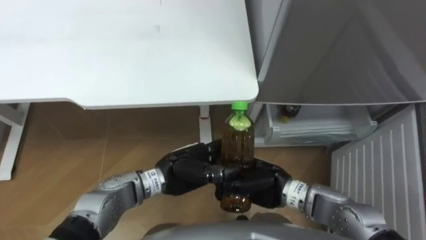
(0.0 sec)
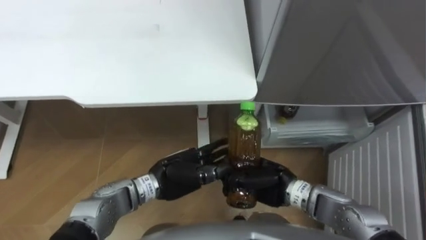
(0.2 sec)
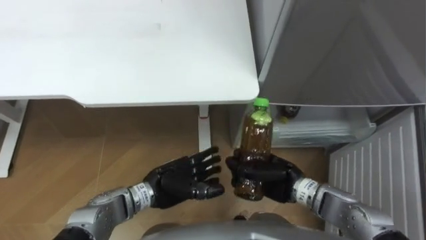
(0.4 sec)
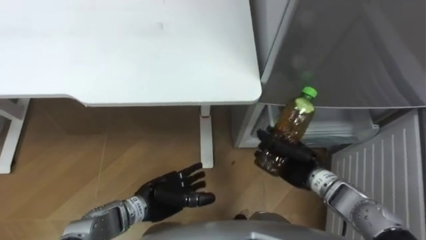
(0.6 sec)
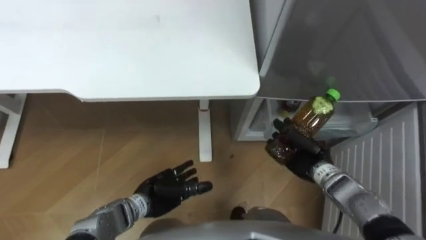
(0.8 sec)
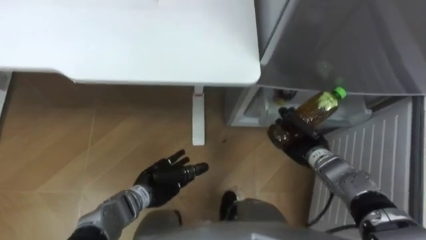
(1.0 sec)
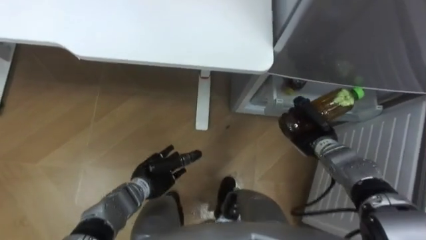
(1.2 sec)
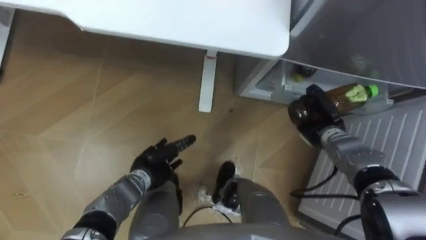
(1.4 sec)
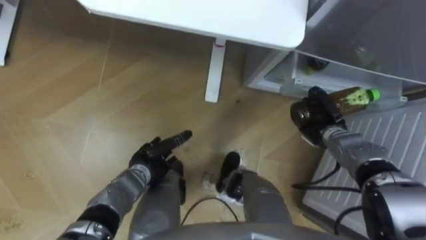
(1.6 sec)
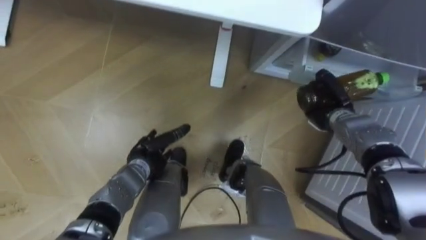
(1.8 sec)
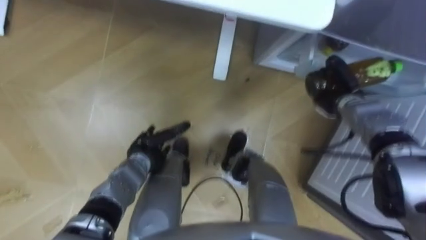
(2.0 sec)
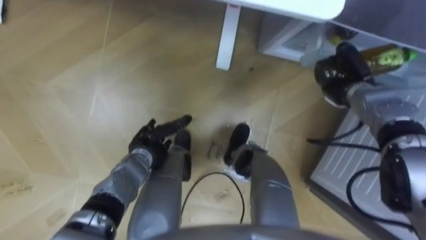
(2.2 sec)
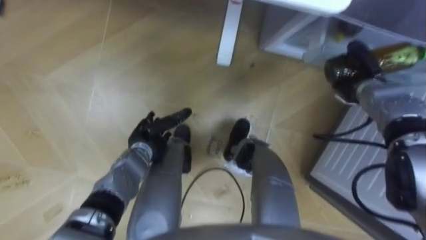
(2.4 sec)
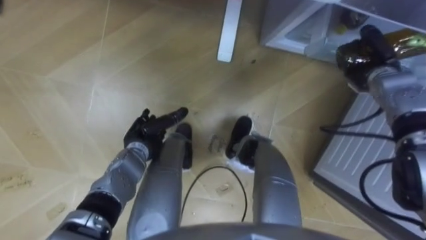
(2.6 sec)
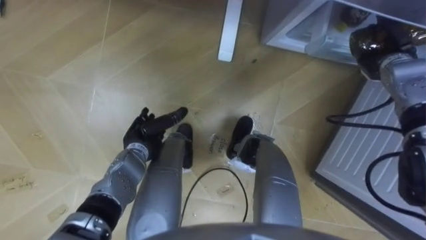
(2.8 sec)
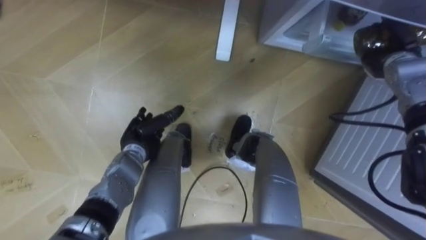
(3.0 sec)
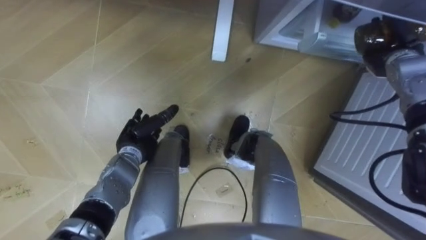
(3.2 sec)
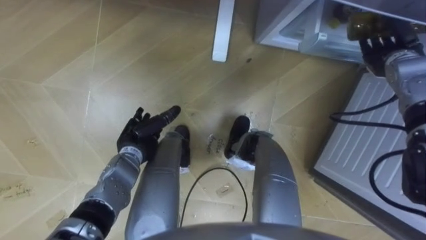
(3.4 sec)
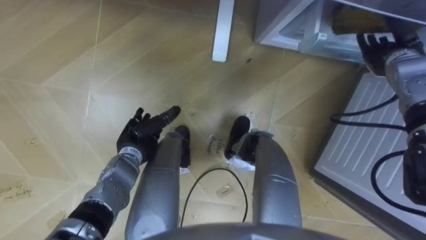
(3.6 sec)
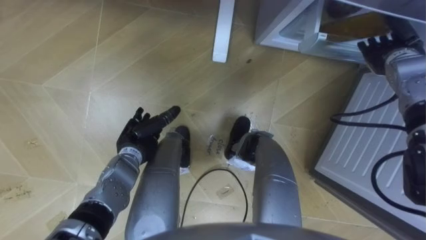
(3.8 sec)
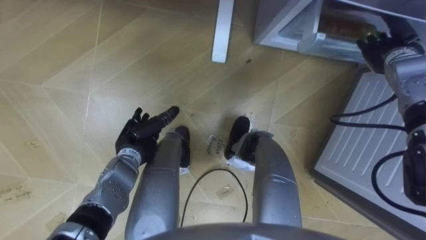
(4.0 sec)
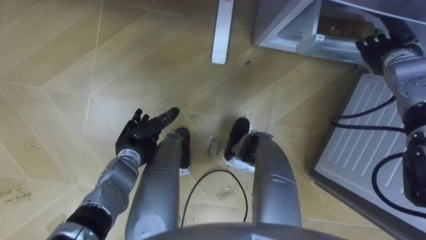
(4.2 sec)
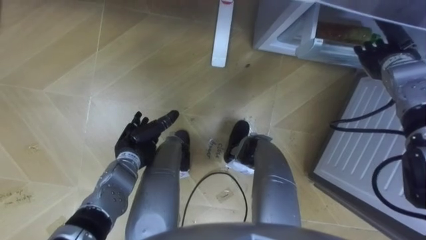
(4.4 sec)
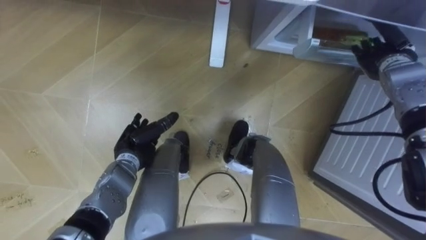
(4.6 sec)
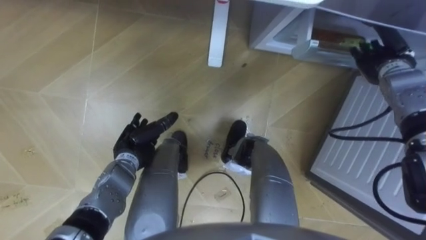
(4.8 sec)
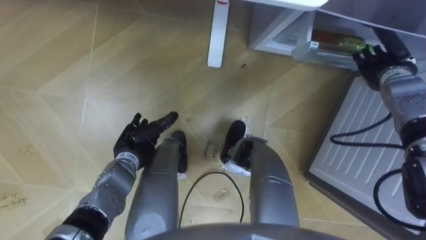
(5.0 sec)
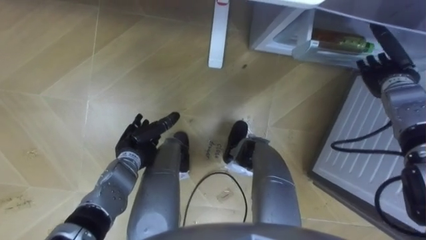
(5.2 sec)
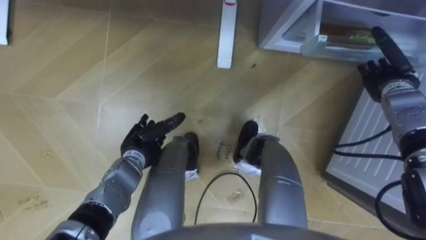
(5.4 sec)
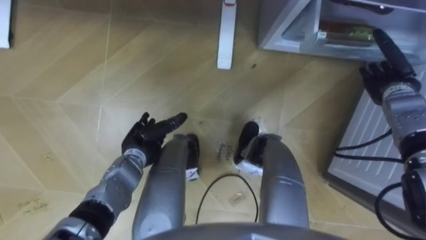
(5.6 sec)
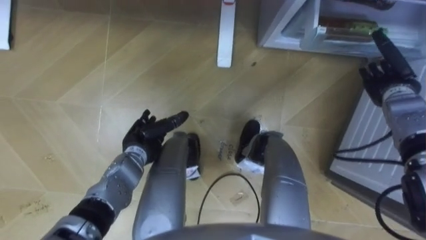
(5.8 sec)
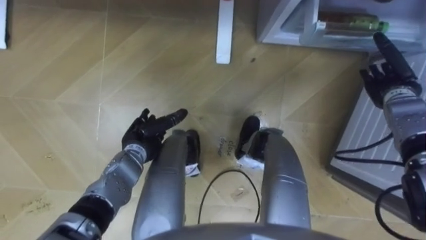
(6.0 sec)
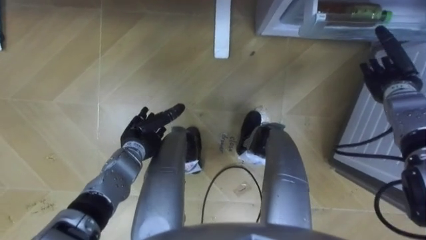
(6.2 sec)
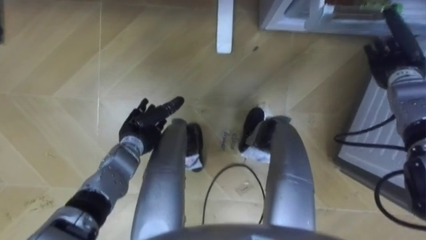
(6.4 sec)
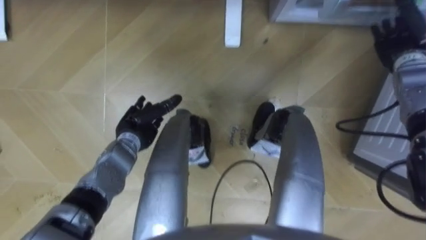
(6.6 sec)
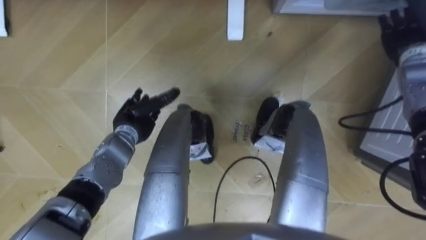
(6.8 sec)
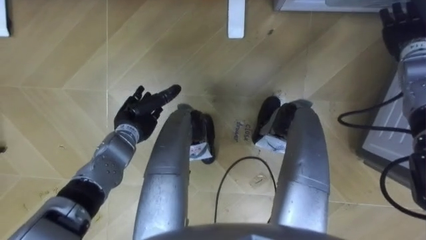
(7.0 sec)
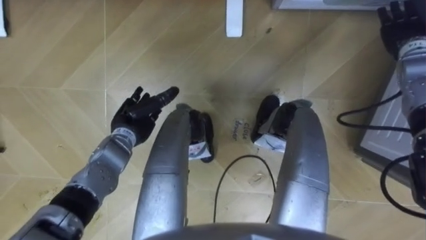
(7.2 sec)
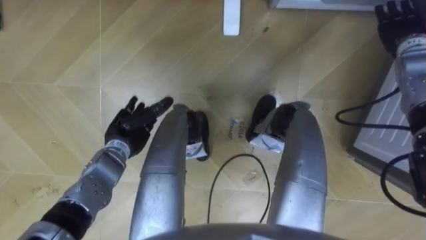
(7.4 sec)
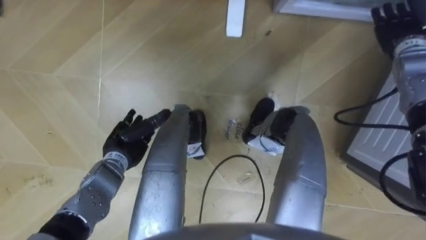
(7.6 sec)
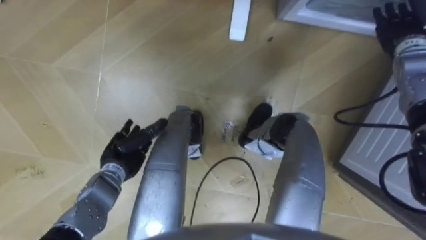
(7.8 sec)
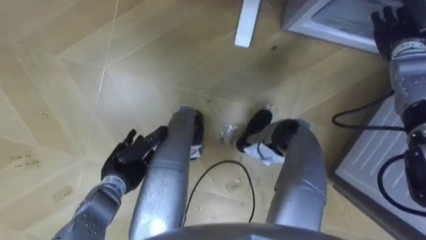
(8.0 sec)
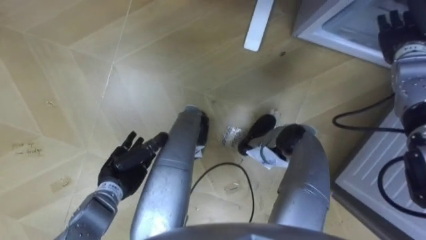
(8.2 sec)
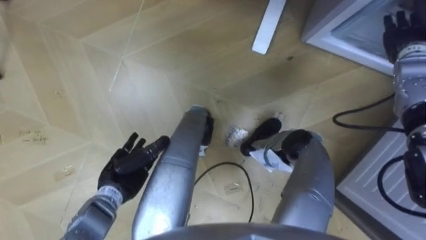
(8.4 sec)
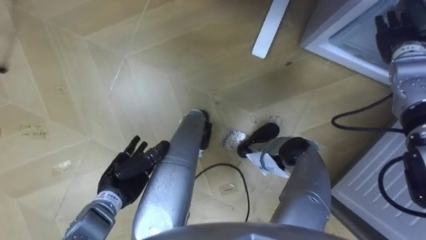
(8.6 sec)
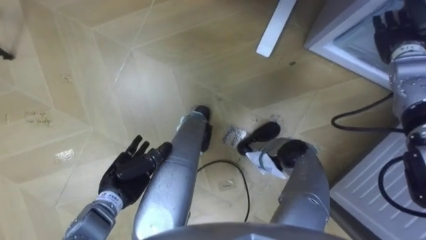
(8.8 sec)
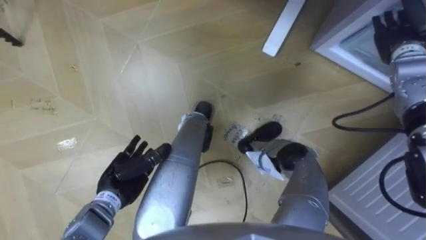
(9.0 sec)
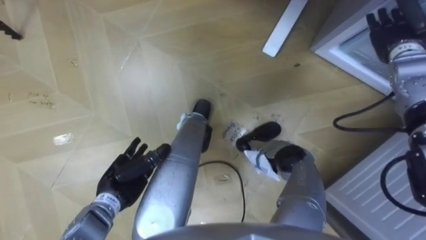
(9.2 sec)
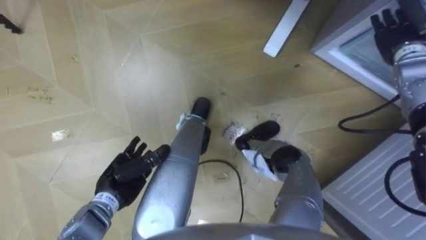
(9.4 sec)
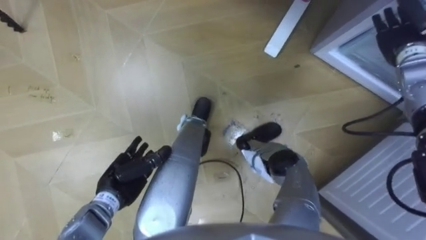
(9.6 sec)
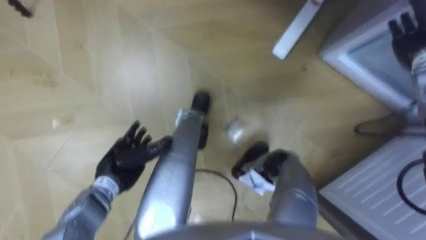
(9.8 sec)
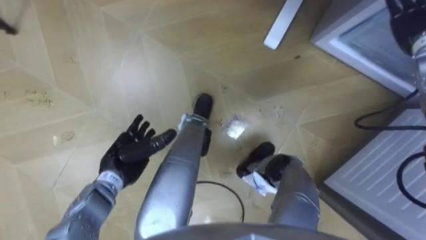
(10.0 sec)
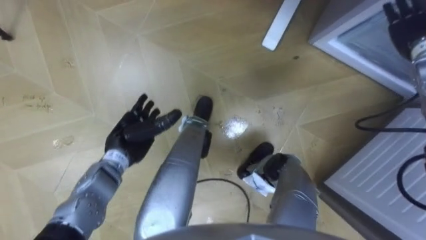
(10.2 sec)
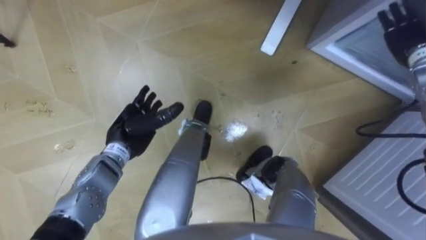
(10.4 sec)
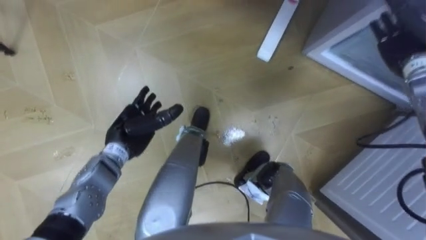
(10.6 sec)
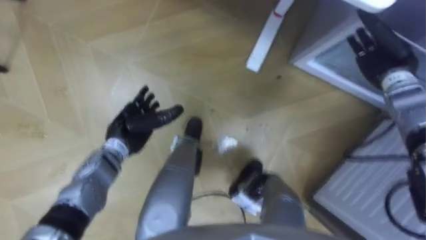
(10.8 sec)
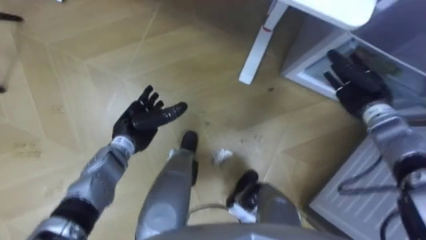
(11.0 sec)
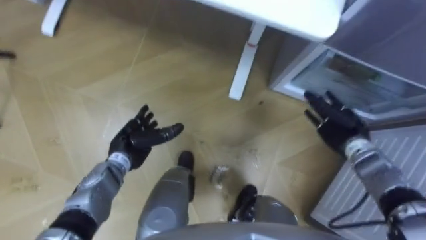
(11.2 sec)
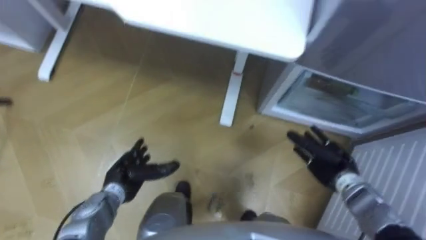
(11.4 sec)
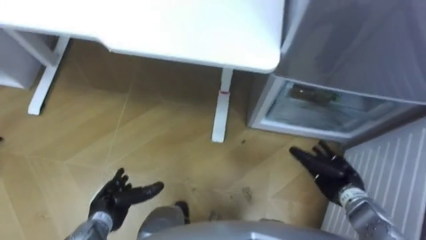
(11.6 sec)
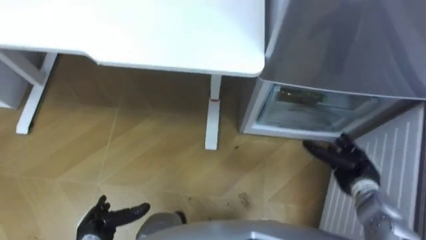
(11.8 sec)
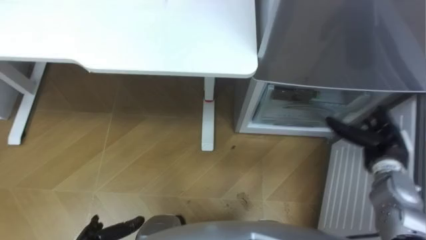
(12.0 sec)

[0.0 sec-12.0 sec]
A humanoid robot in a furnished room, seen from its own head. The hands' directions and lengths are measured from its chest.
Task of the whole recording: Place the drink on the table on the bottom shelf of the refrigerator, then close the drawer and the refrigerator door.
0.0 sec to 1.6 sec: The left hand moves downward and to the left, roughly 10 cm; the right hand shifts roughly 20 cm to the right and forward.
1.6 sec to 3.0 sec: The left hand ends up about 5 cm from where it was. Meanwhile the right hand is displaced upward, to the right and forward by some 20 cm.
3.0 sec to 4.4 sec: The right hand opens up.
4.4 sec to 6.0 sec: The right hand changes place by about 5 cm.
6.0 sec to 7.6 sec: The right hand travels upward and forward by roughly 10 cm.
7.6 sec to 9.0 sec: The left hand heads backward, covering roughly 5 cm.
9.0 sec to 10.4 sec: The left hand heads forward, covering approximately 10 cm.
10.4 sec to 12.0 sec: The right hand moves backward and downward, roughly 20 cm.

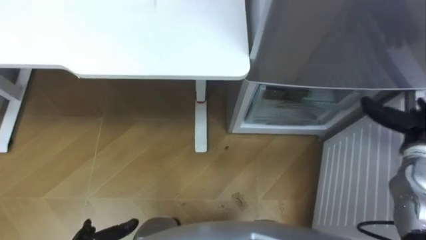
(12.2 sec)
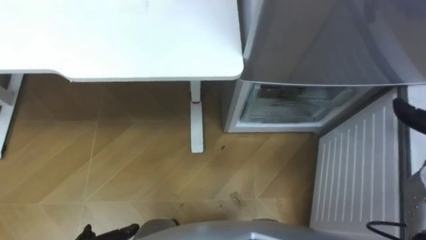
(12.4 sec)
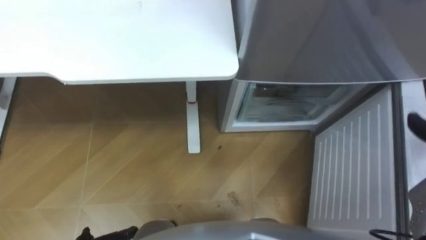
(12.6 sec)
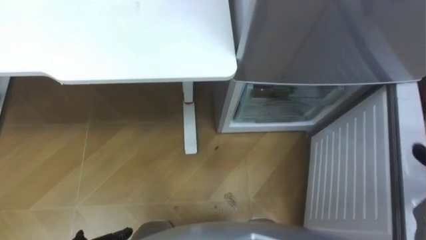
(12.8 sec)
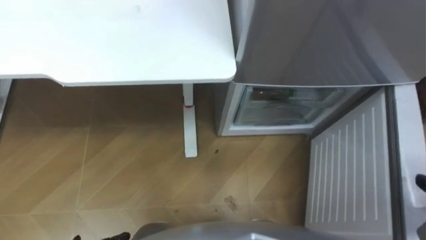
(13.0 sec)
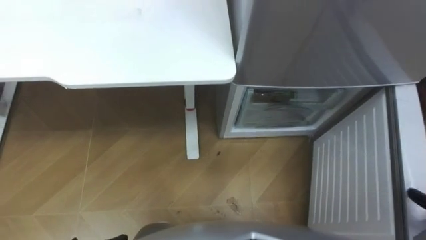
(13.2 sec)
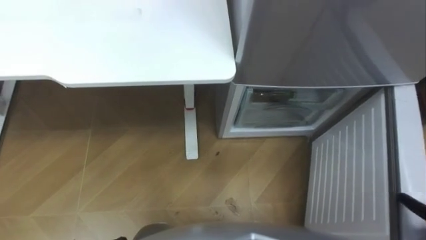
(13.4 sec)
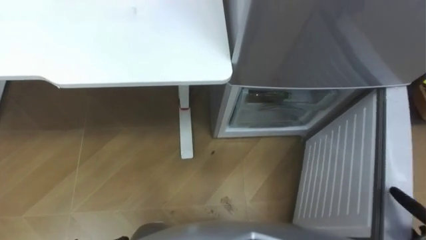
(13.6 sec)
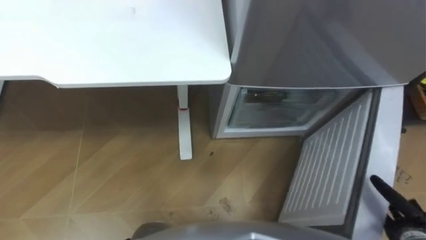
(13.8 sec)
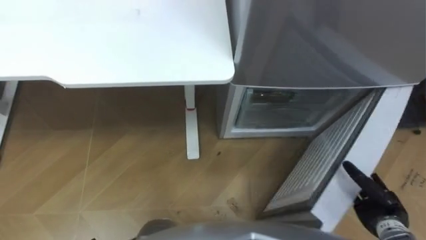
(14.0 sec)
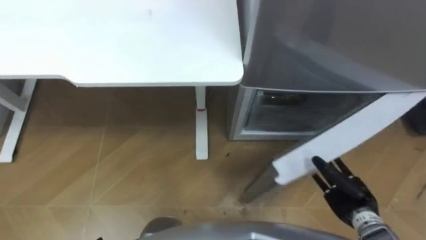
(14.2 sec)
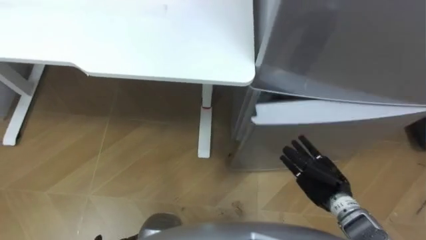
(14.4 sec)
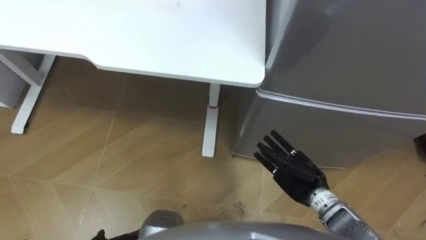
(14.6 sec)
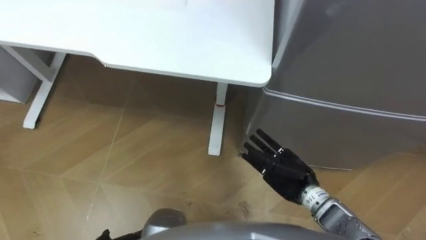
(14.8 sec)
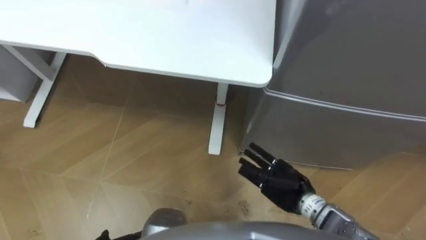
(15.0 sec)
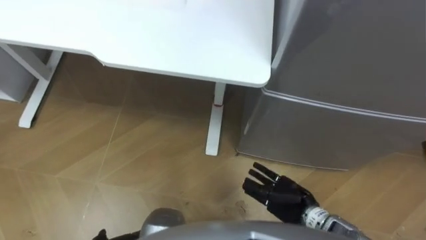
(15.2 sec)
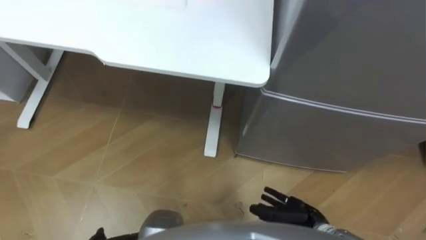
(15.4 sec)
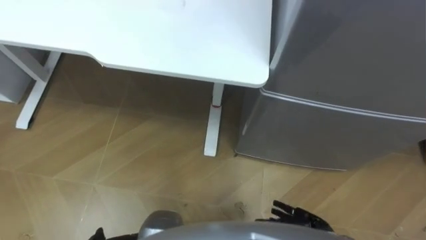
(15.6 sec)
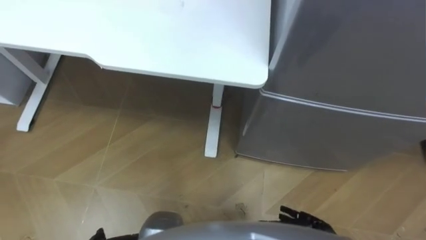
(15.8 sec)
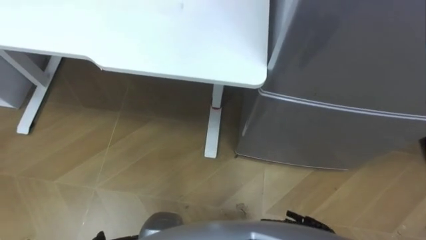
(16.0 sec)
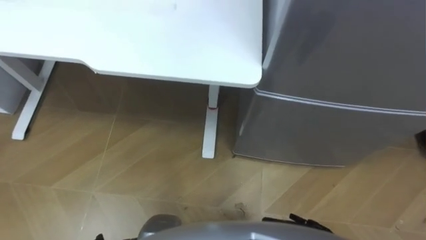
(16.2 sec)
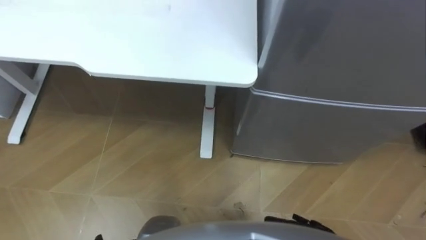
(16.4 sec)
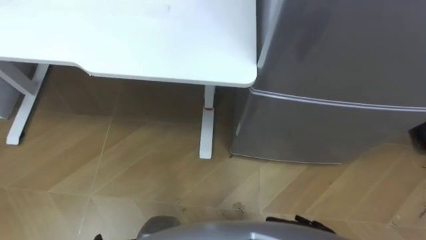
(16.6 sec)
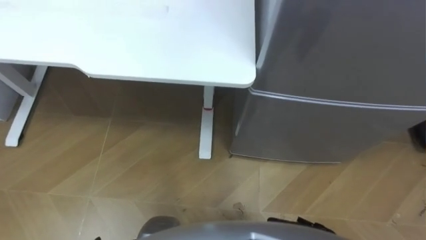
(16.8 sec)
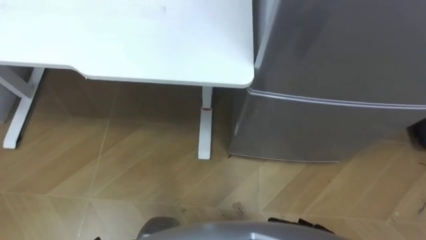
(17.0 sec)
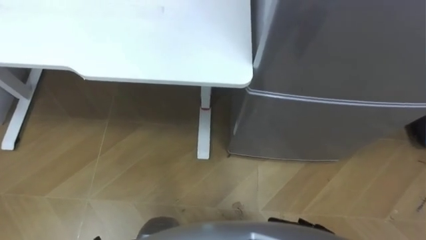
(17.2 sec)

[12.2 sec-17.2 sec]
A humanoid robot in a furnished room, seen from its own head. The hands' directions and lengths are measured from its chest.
Task of the whole recording: Place the drink on the table on the bottom shelf of the refrigerator, then close the drawer and the refrigerator door.
13.8 sec to 15.6 sec: The right hand travels to the left by roughly 20 cm.
